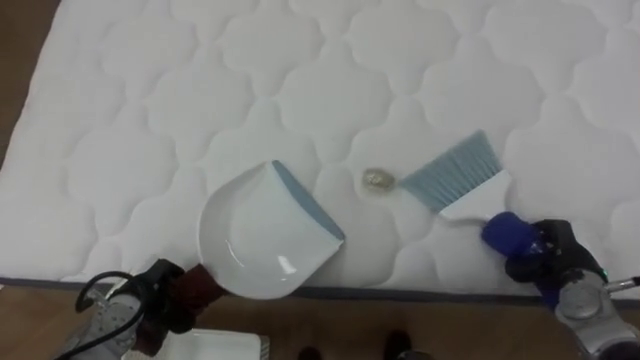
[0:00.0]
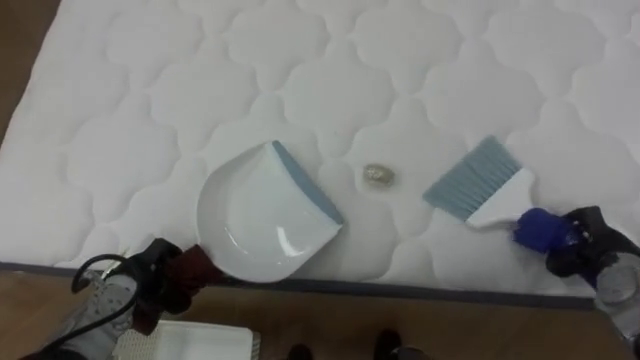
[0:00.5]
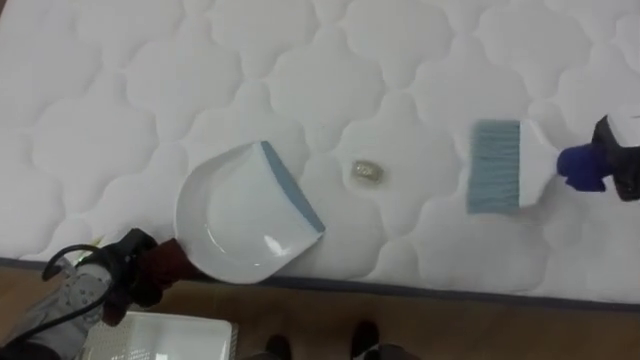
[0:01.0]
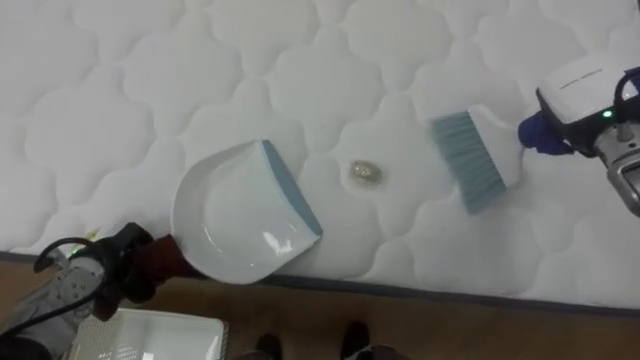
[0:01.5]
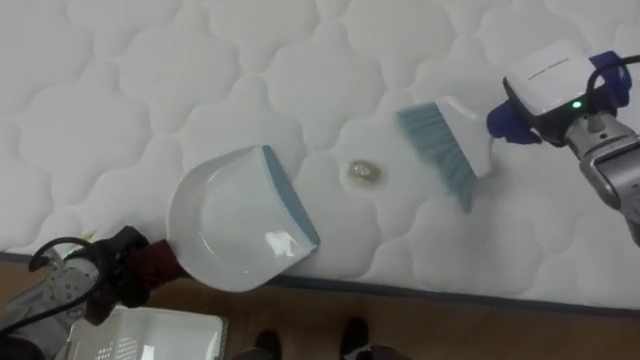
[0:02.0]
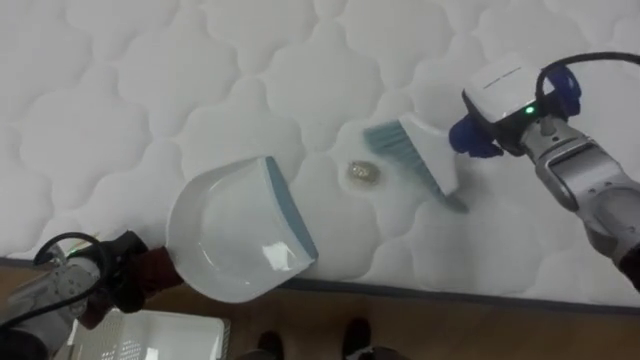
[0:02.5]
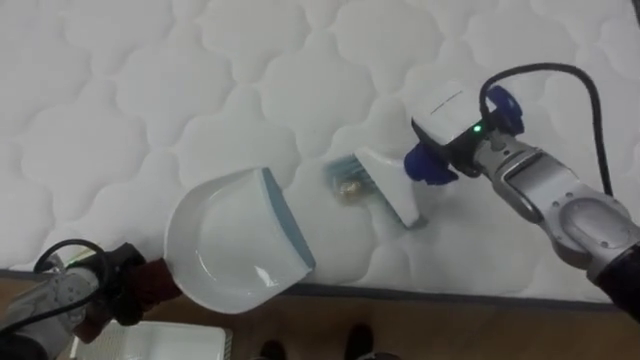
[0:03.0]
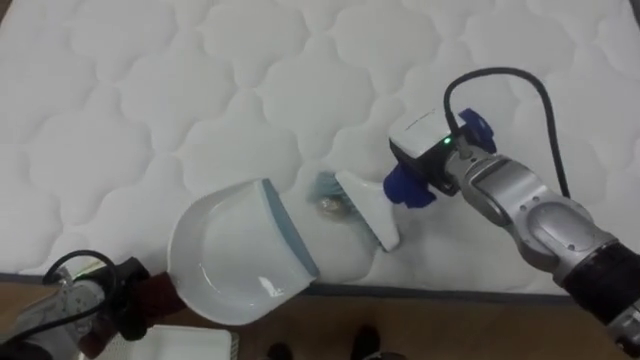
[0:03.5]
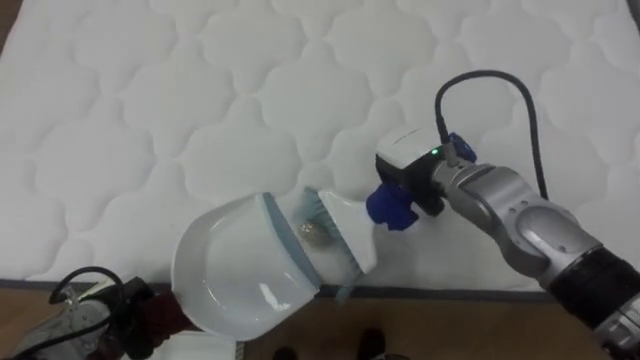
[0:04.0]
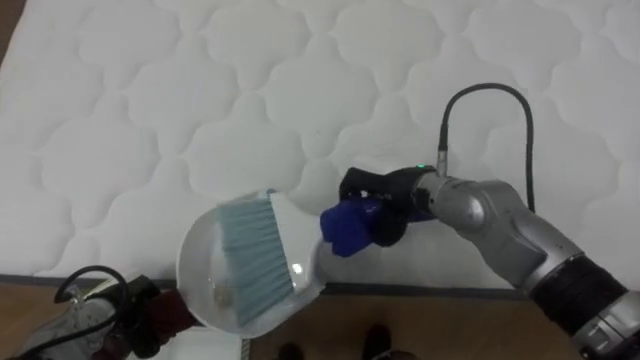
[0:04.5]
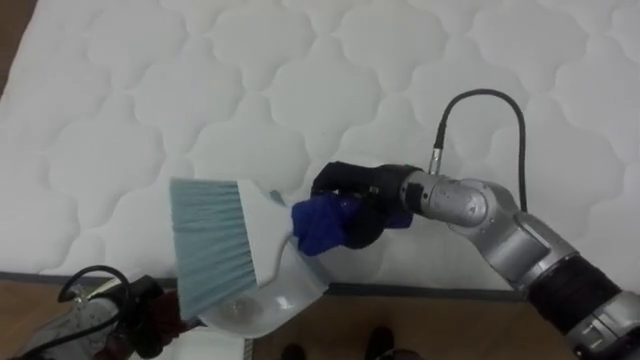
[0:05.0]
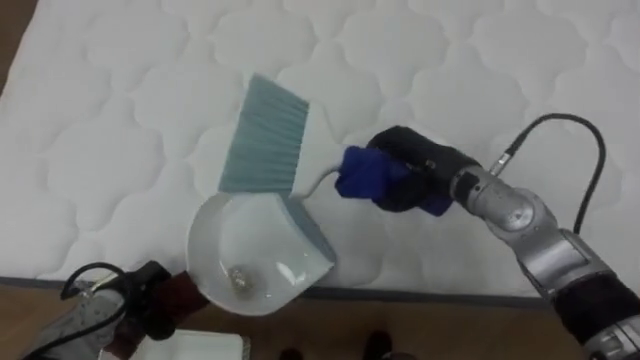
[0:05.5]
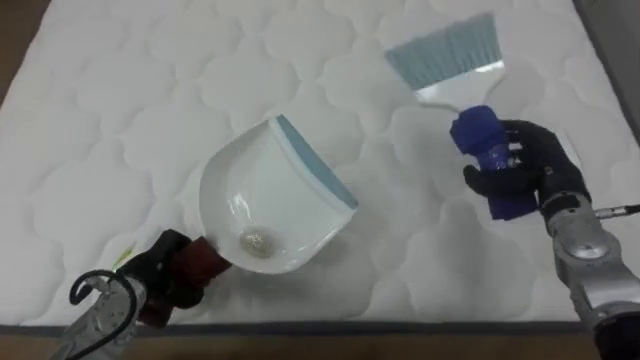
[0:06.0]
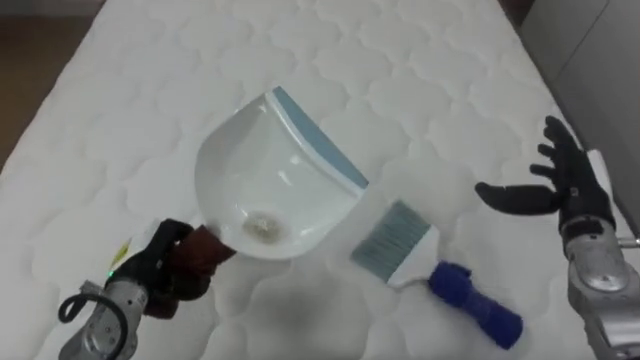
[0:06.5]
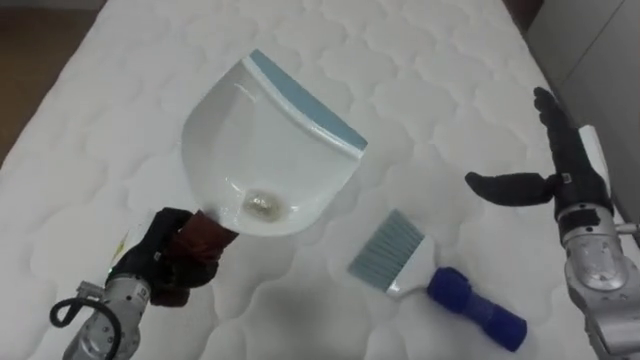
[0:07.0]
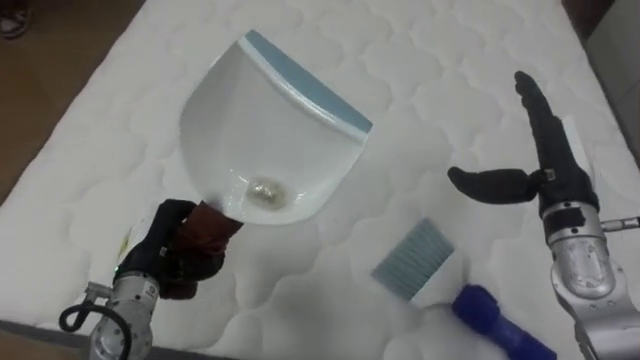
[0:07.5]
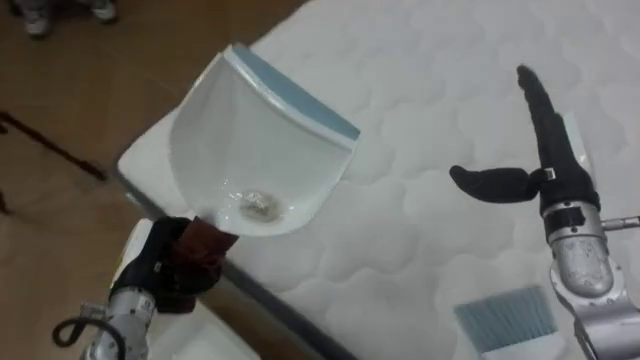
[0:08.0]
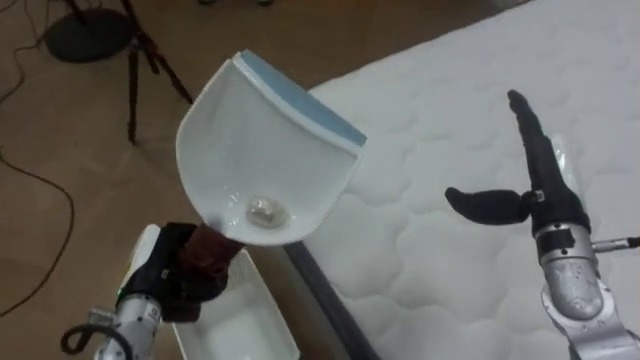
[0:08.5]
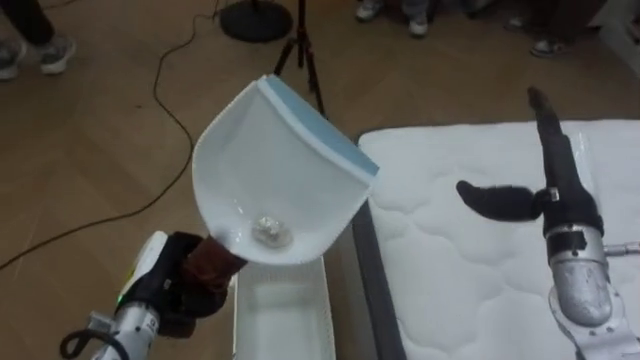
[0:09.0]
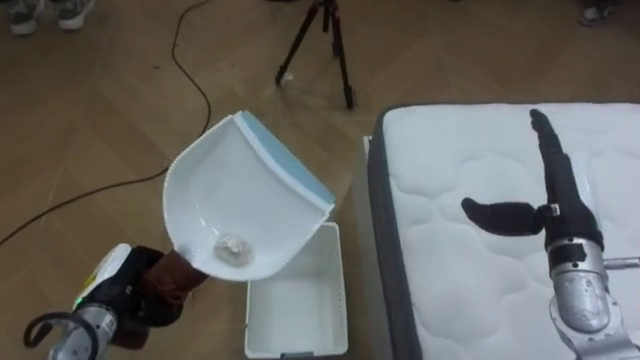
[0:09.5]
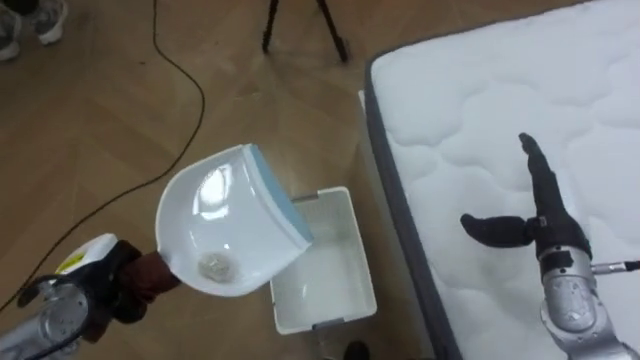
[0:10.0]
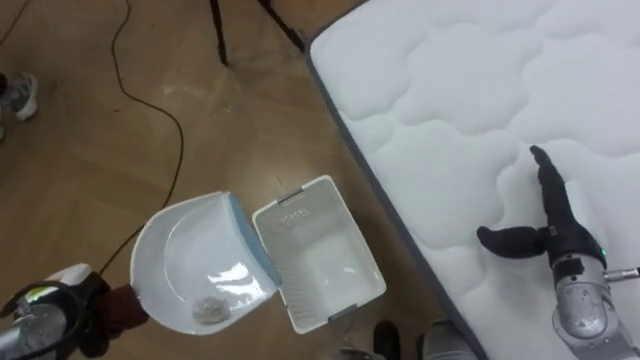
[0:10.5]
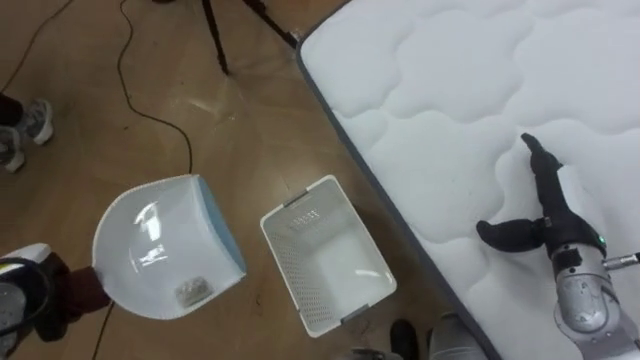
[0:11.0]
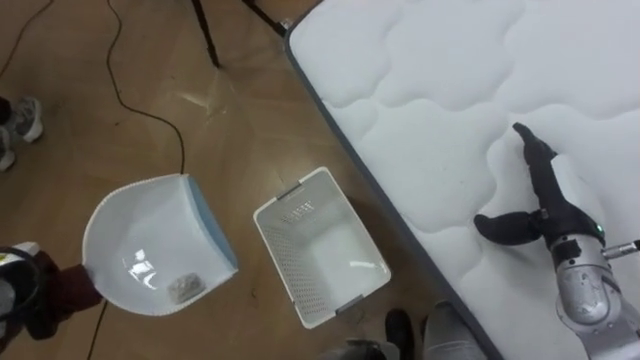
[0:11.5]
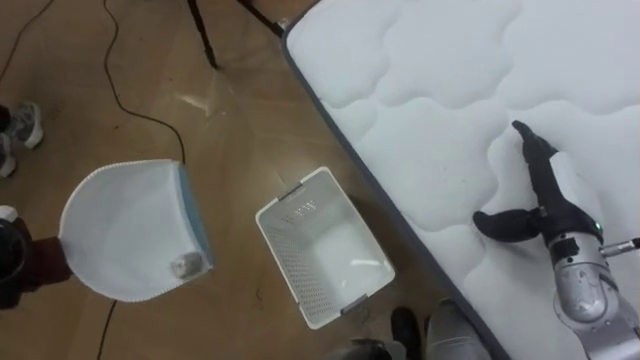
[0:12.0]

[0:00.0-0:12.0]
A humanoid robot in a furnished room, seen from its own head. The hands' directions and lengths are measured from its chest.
Task of the whole recording: Pick up the brush on your right and the dustpan on your left. Use the brush to sweep the crumpled paper on the bed into the dustpan, then turn left and empty it into the basket.
0:00.0 to 0:02.0: The left hand shifts some 5 cm upward, while the right hand goes approximately 25 cm upward and forward.
0:02.0 to 0:04.0: The right hand is displaced to the left and downward by some 15 cm. The left hand heads downward and backward, covering about 5 cm.
0:04.0 to 0:06.0: The right hand goes some 20 cm to the right. Meanwhile the left hand heads to the right, covering roughly 5 cm.
0:06.0 to 0:08.0: The robot rotates approximately 30 degrees to its left. The left hand shifts by some 5 cm. Meanwhile the right hand travels upward by some 5 cm, and opens.
0:08.0 to 0:10.0: The robot turns to its left by some 50 degrees. The left hand goes about 5 cm to the left; the right hand moves downward, some 10 cm.

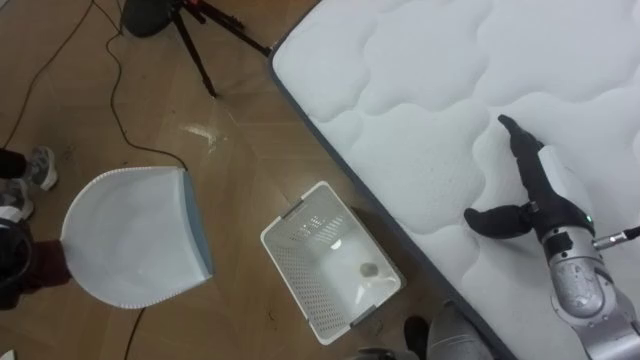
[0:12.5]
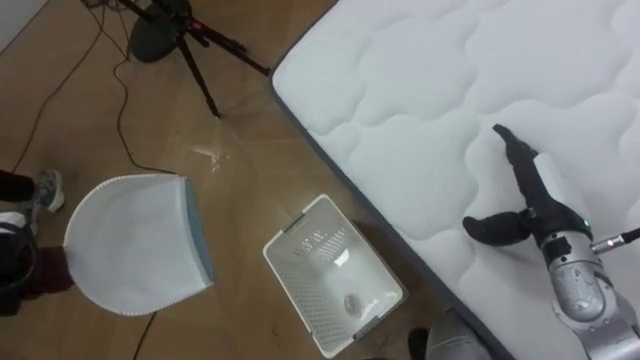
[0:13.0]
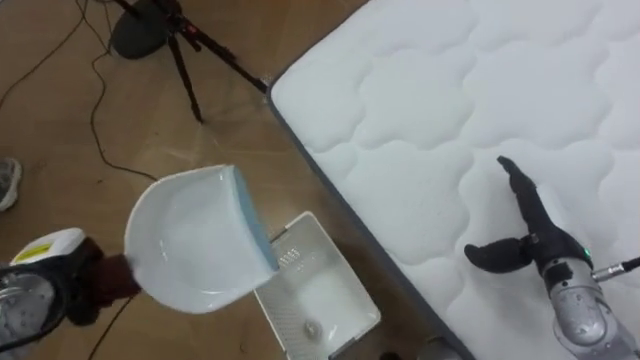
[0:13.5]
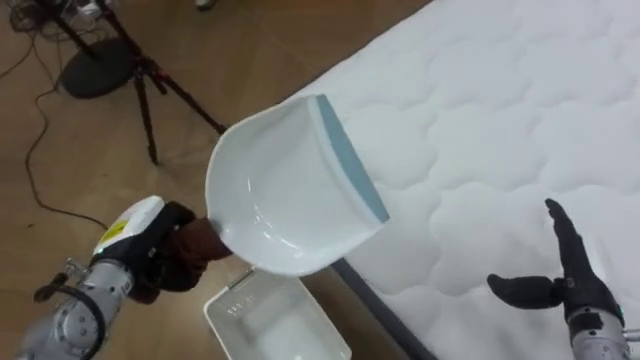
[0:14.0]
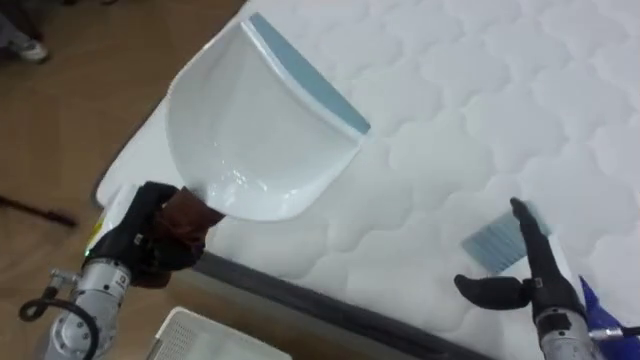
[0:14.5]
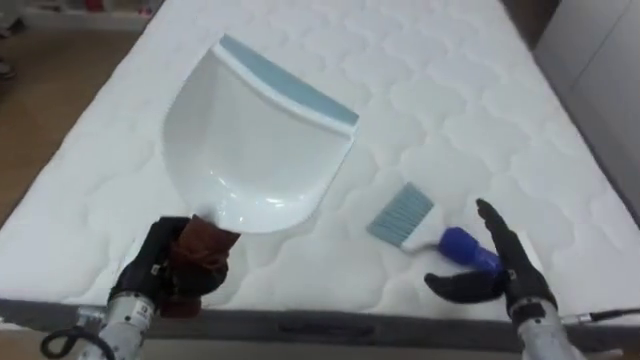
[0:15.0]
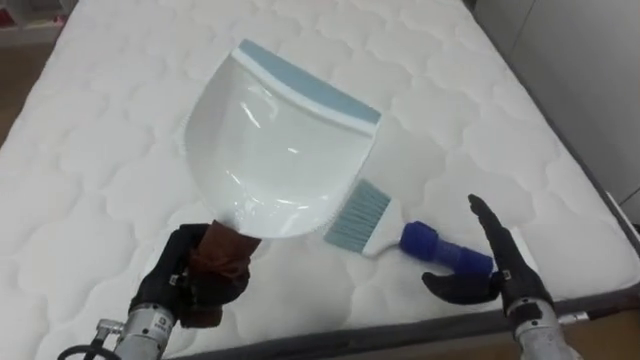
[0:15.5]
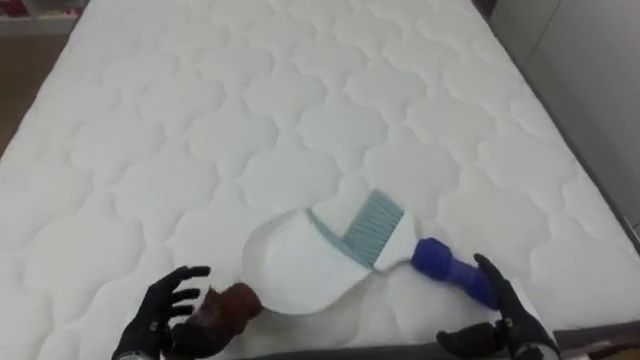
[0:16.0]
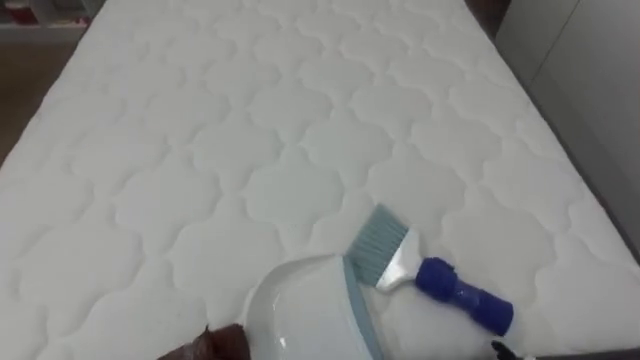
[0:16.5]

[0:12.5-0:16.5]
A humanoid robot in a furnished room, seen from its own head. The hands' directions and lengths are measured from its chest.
Task of the whole recording: Pick up the brush on your right and the dustpan on your left. Use the brush to sweep the crumpled paper on the bed into the dustpan, then turn left and empty it into the basket.
0:12.5 to 0:14.5: The robot turns to its right by about 50 degrees. The right hand moves backward and downward, approximately 10 cm.
0:14.5 to 0:16.5: The robot rotates some 25 degrees to its right.

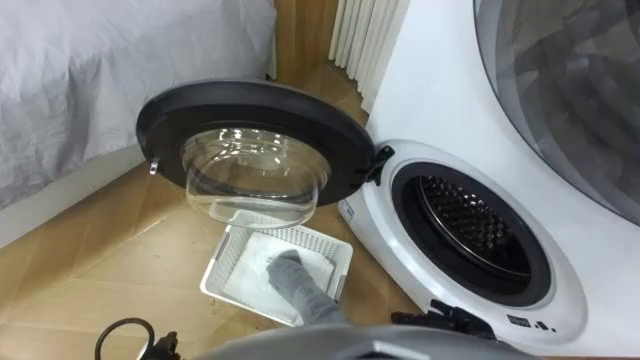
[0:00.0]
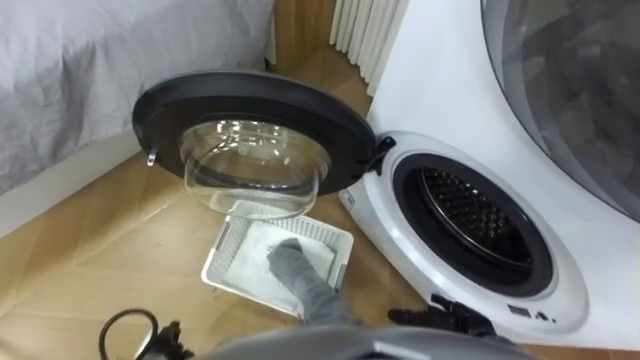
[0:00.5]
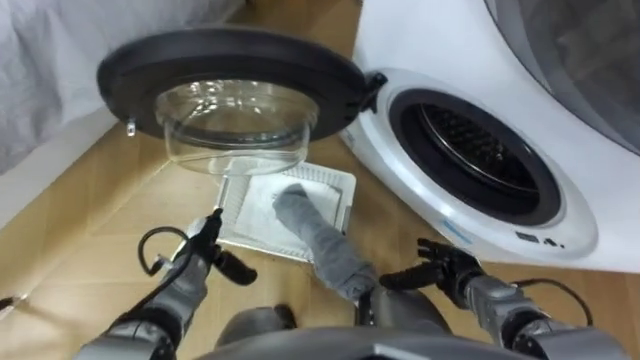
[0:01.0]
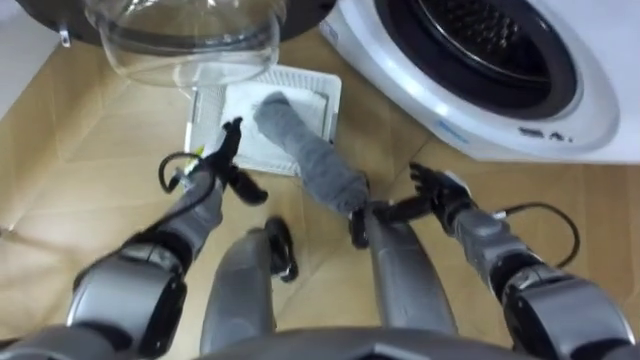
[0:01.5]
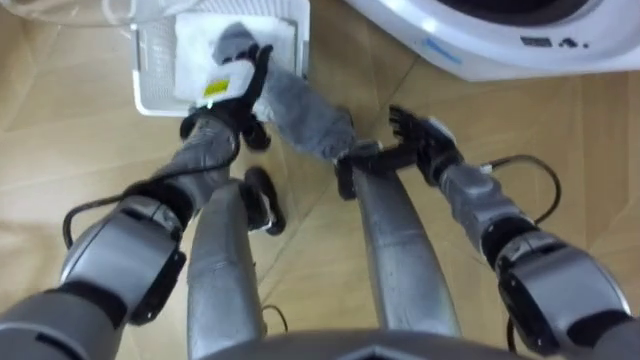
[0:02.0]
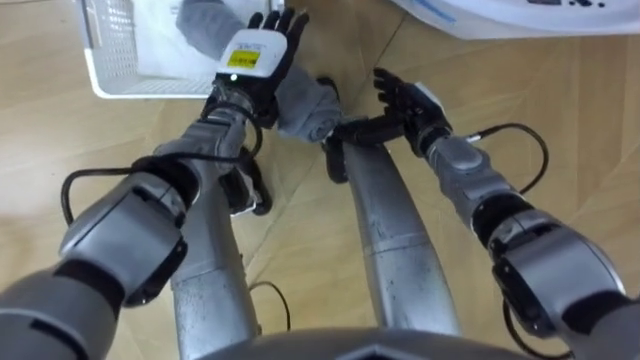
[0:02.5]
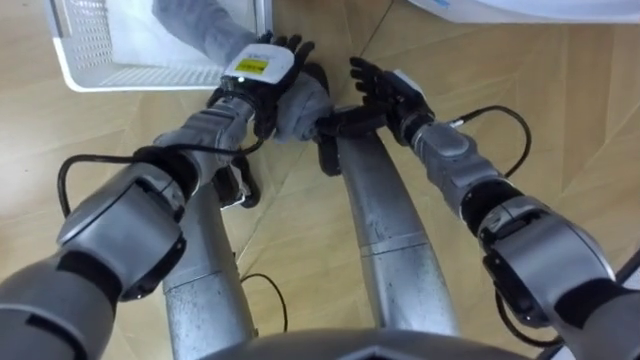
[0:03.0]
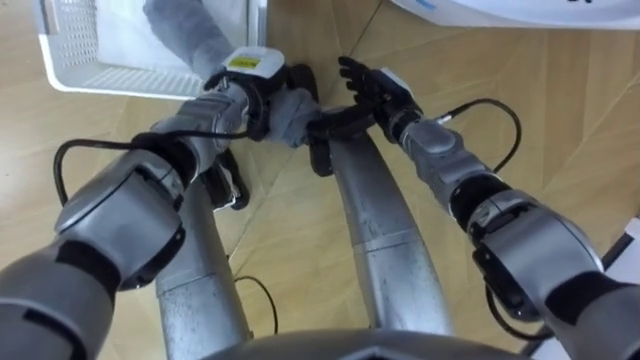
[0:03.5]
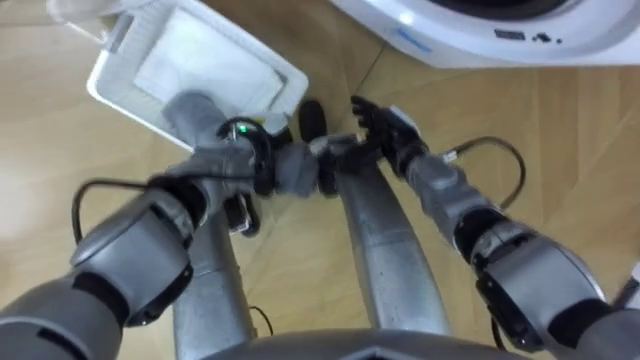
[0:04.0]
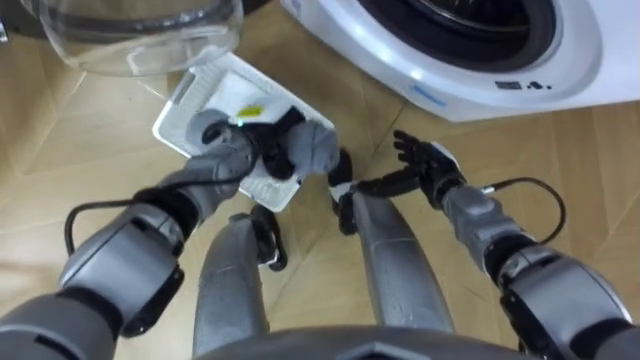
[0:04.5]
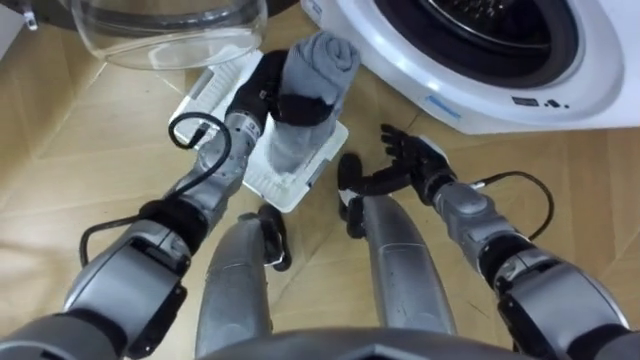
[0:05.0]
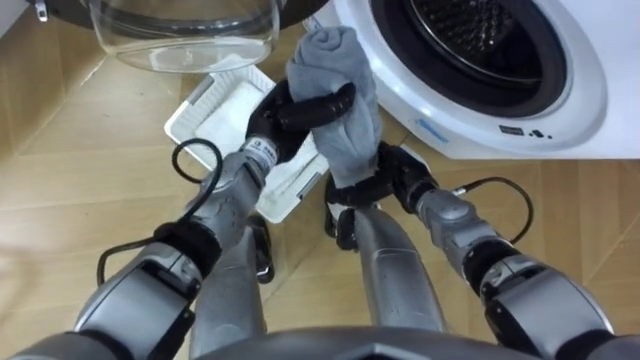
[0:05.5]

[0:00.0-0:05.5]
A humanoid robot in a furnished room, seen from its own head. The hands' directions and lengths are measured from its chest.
Task of the whole recording: Take the towel from the basket and put it into the washing machine.
0:02.0 to 0:03.5: The right hand shifts about 10 cm to the left and upward; the left hand closes.
0:03.5 to 0:05.5: The right hand goes approximately 10 cm downward and backward; the left hand goes about 5 cm backward, and reaches some 5 cm downward, then returns.
